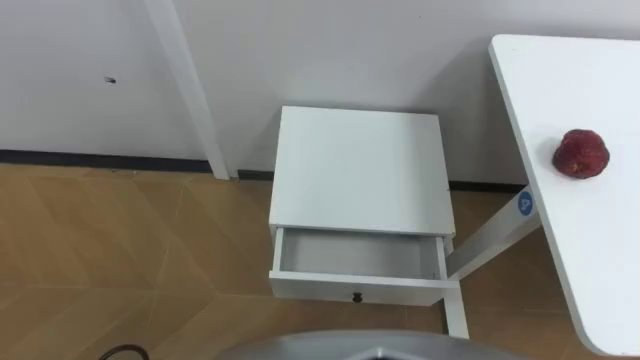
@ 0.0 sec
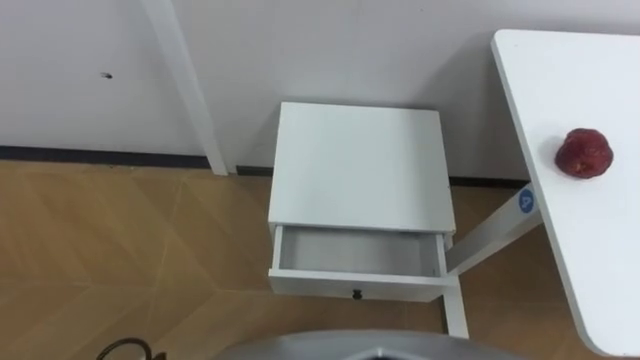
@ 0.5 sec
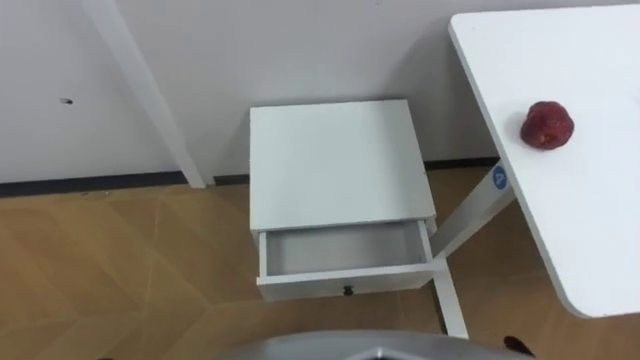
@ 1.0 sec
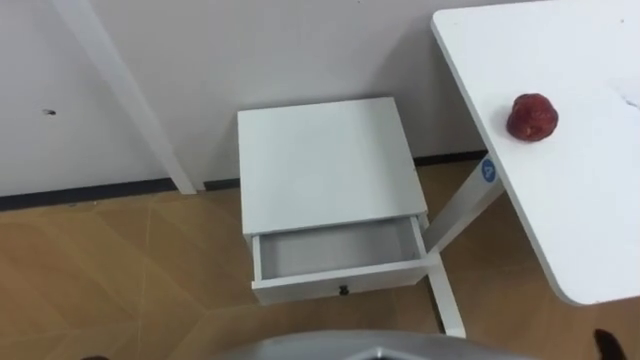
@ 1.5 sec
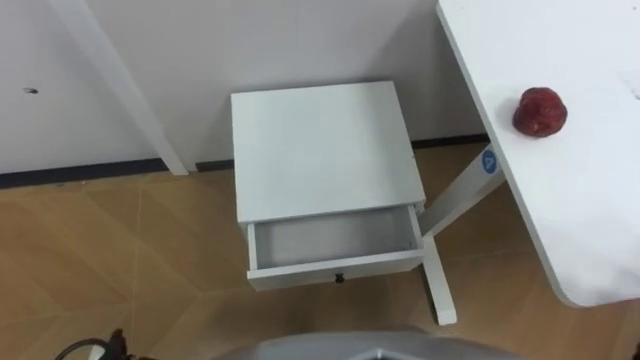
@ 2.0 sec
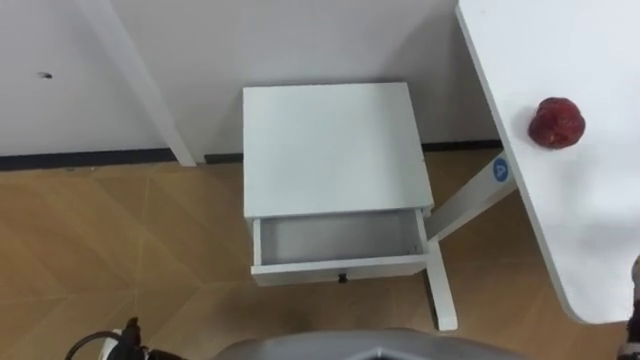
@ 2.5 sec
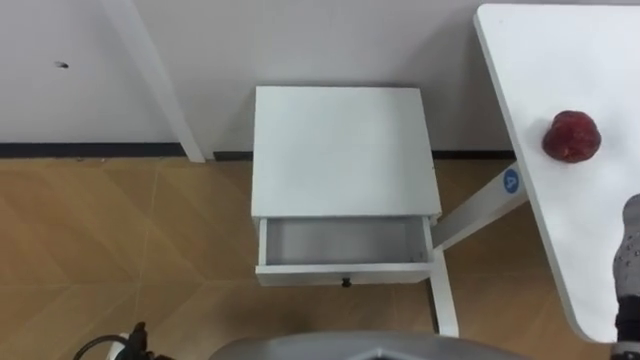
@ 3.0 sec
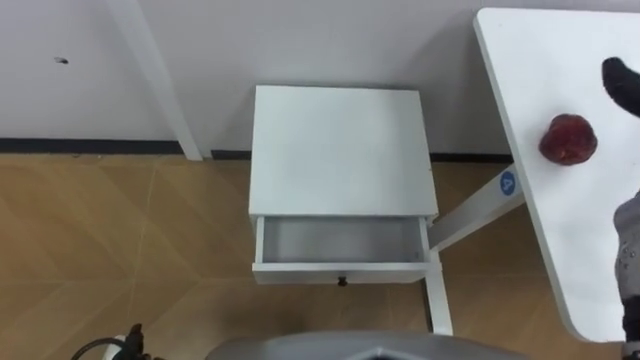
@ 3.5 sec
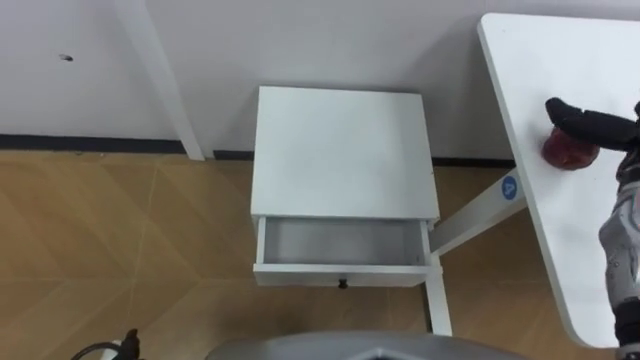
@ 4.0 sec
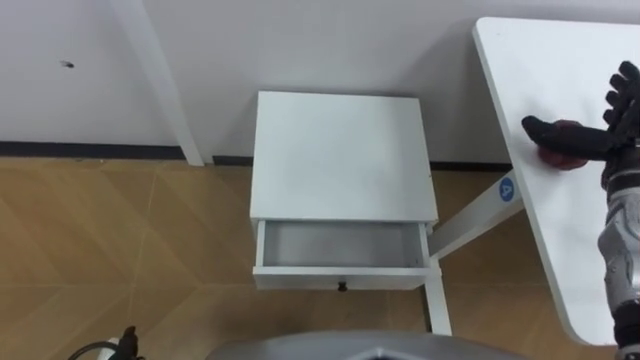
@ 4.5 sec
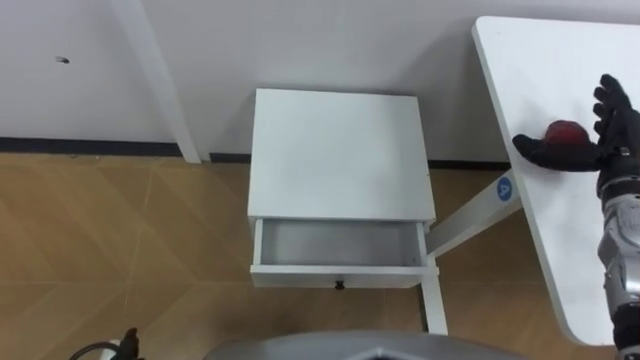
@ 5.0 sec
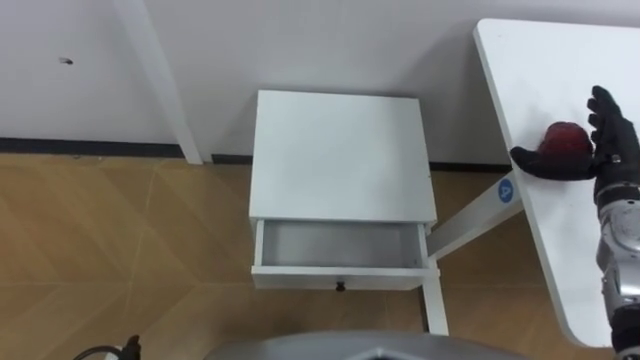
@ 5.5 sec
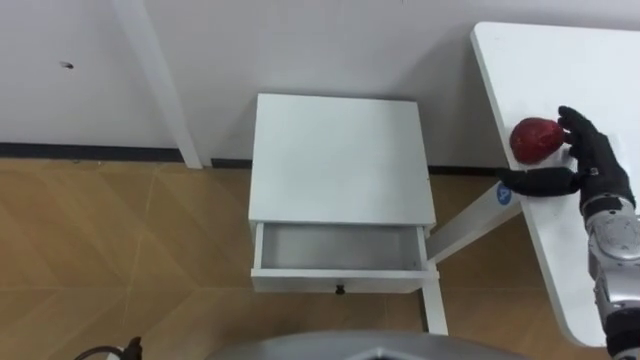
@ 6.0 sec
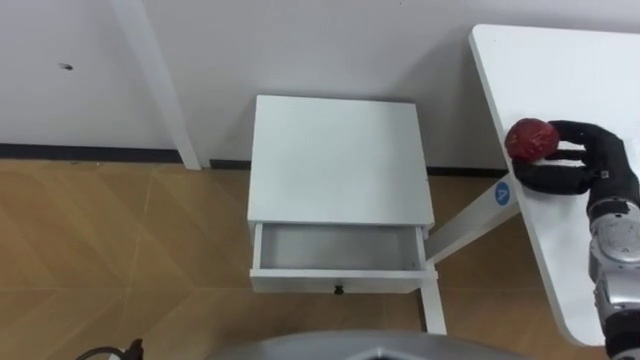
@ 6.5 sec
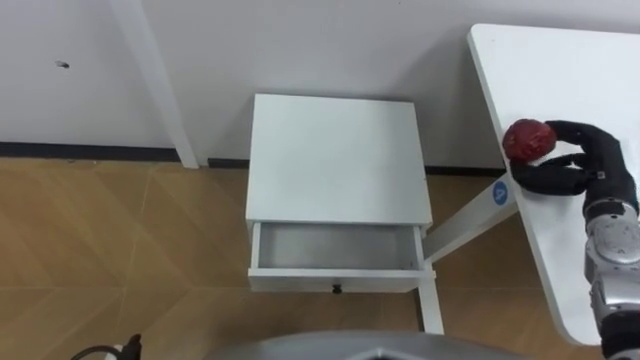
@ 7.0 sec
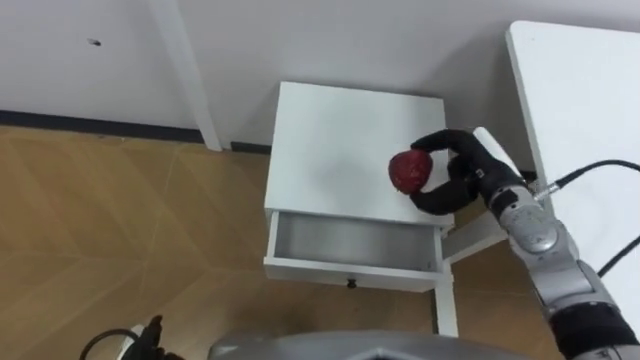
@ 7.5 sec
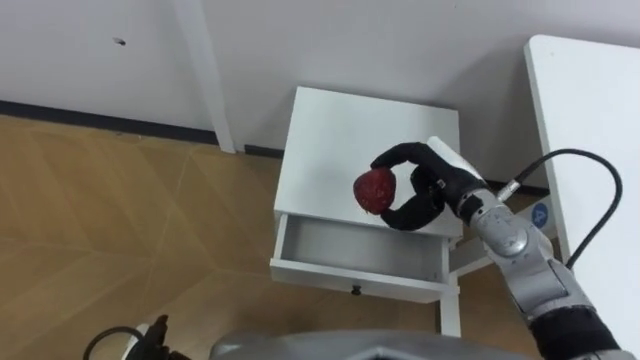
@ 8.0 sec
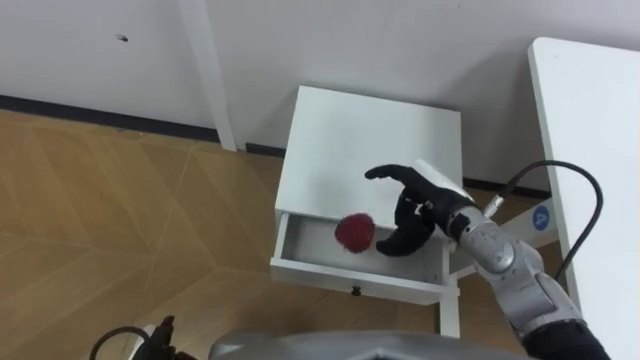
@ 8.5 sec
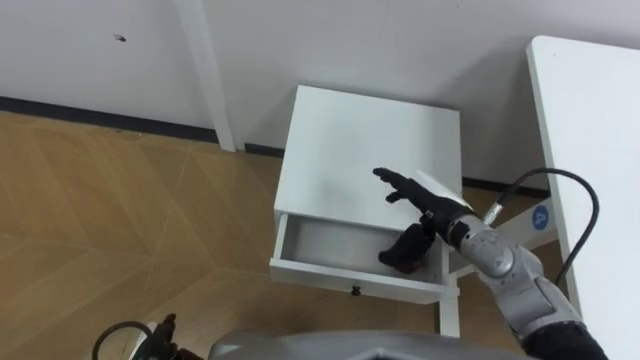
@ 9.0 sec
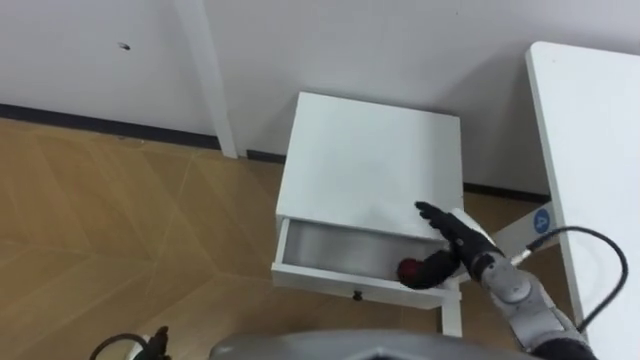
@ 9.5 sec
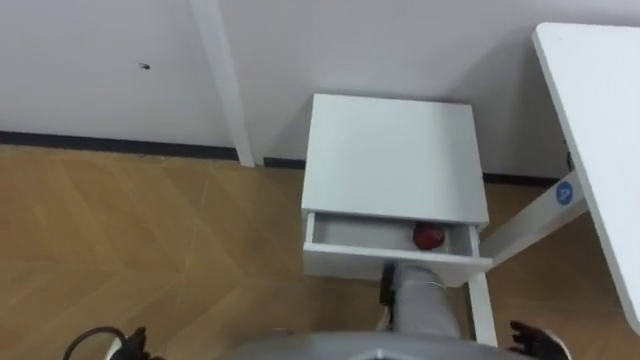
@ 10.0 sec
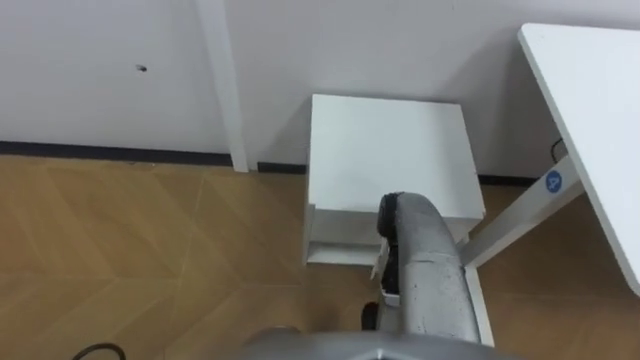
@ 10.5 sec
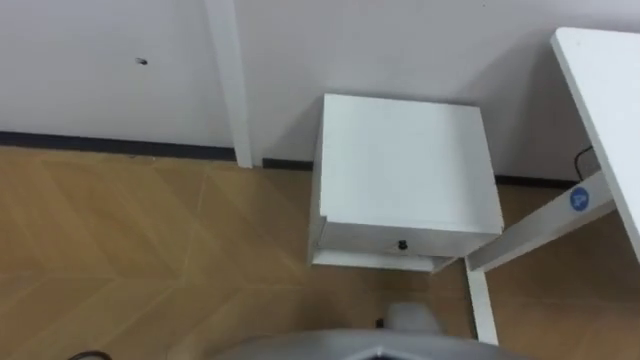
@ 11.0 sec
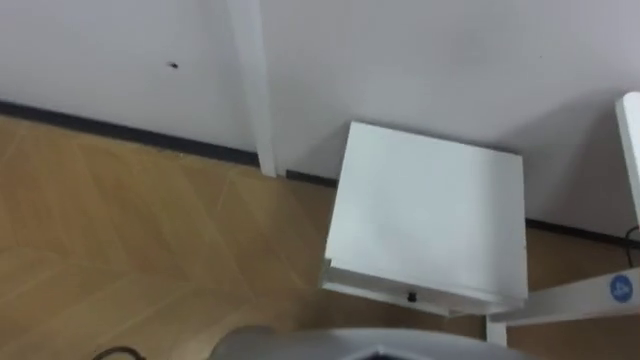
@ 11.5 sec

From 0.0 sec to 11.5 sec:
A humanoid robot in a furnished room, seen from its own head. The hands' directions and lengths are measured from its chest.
Task of the whole recording: Pick up the apple from the table, put it in the drawer, and close the drawer with leg.
From 6.0 sec to 7.5 sec: The right hand is displaced to the left by about 15 cm, and closes its fingers.
From 7.5 sec to 9.5 sec: The right hand is displaced downward and backward by approximately 10 cm, and opens.

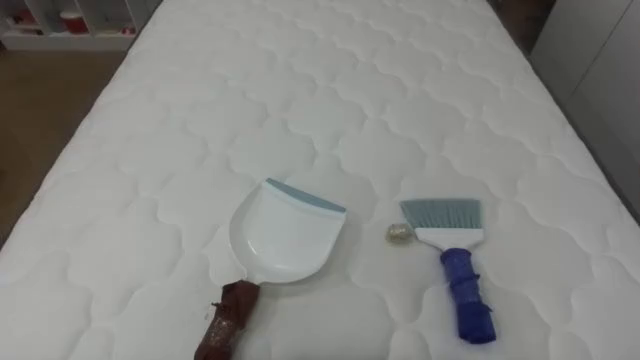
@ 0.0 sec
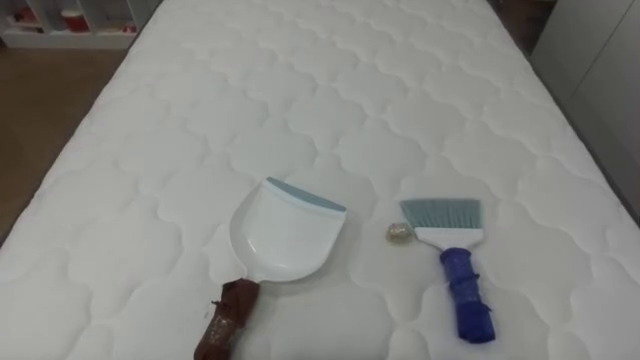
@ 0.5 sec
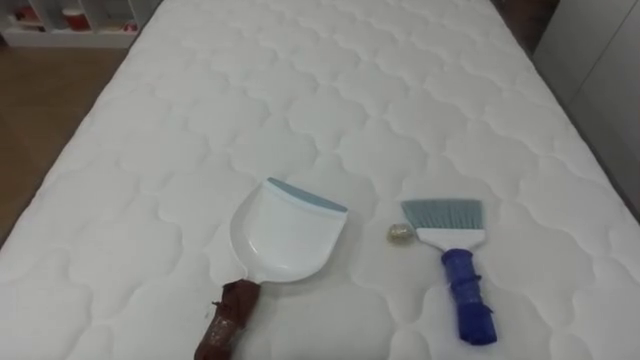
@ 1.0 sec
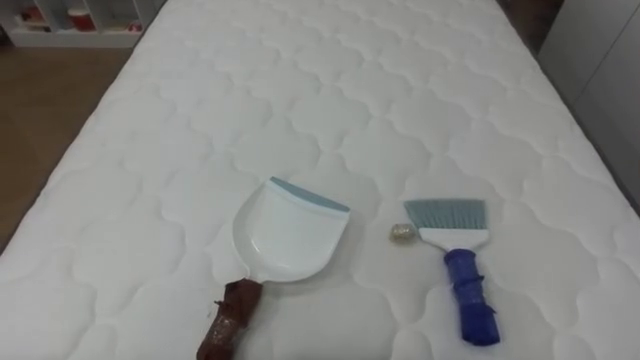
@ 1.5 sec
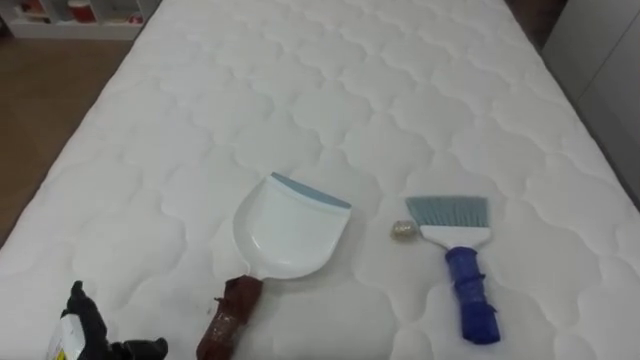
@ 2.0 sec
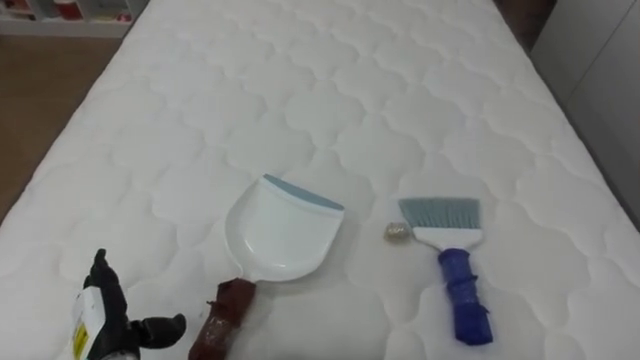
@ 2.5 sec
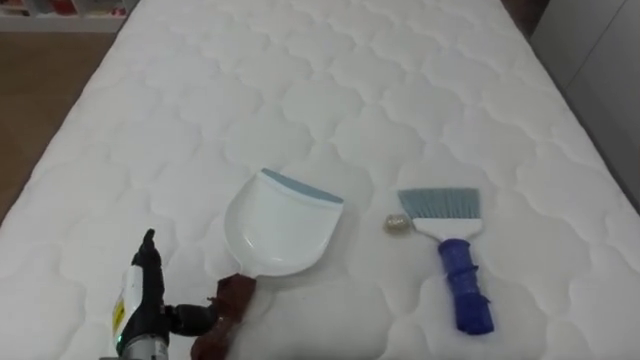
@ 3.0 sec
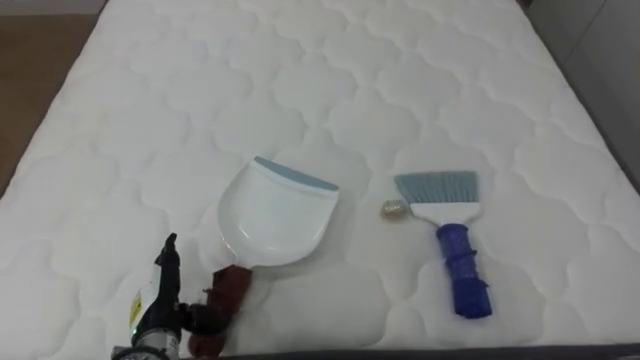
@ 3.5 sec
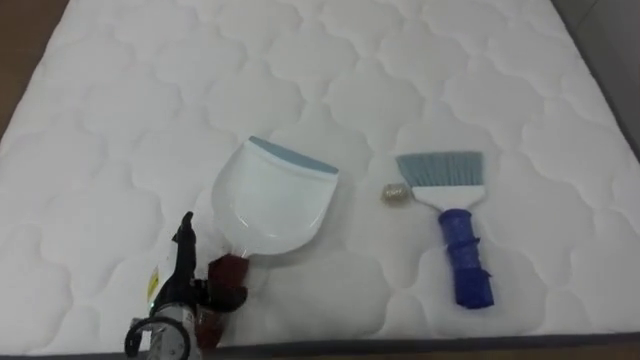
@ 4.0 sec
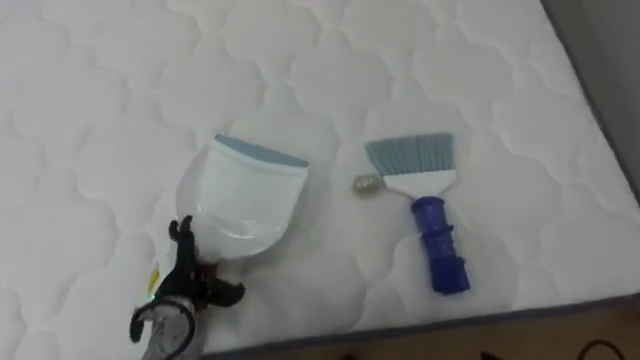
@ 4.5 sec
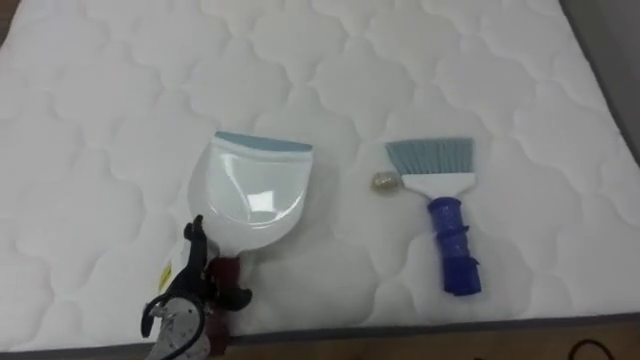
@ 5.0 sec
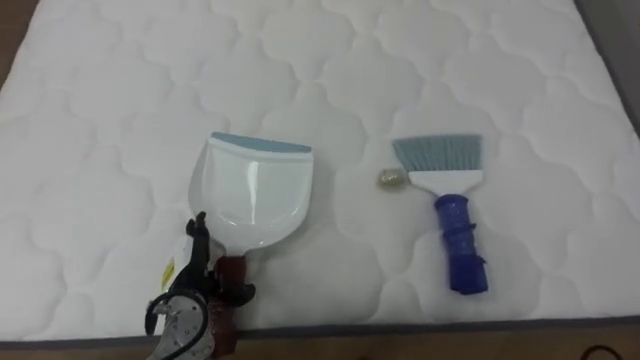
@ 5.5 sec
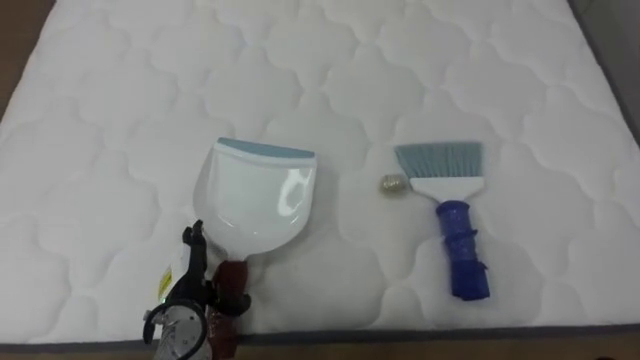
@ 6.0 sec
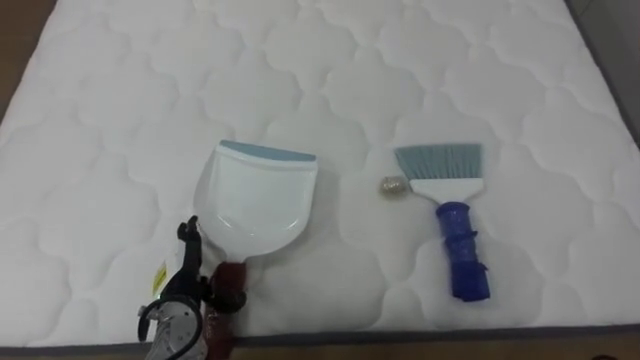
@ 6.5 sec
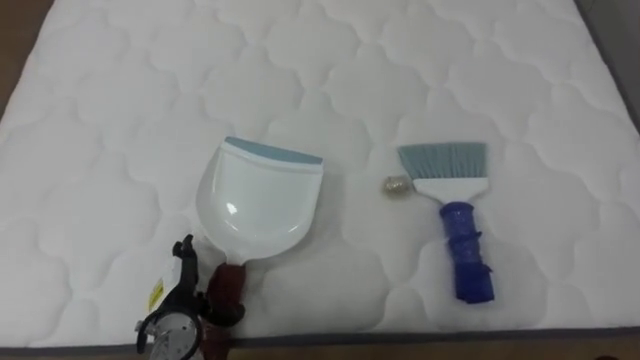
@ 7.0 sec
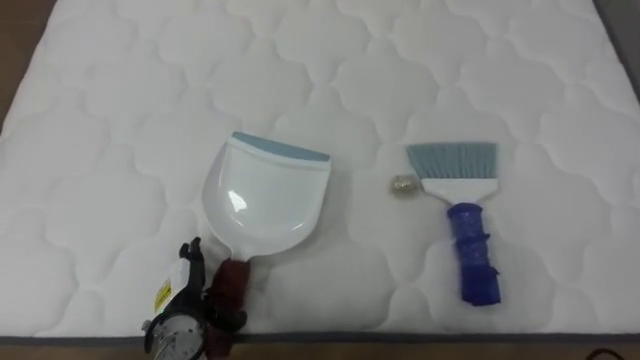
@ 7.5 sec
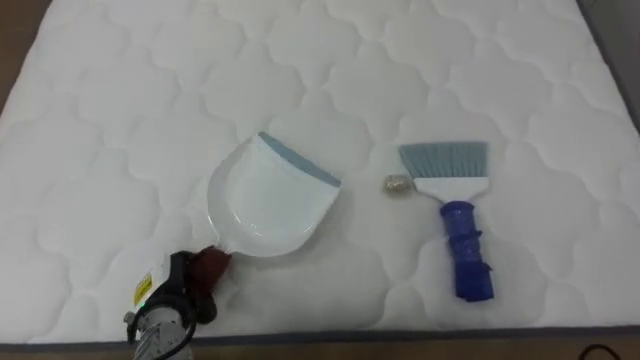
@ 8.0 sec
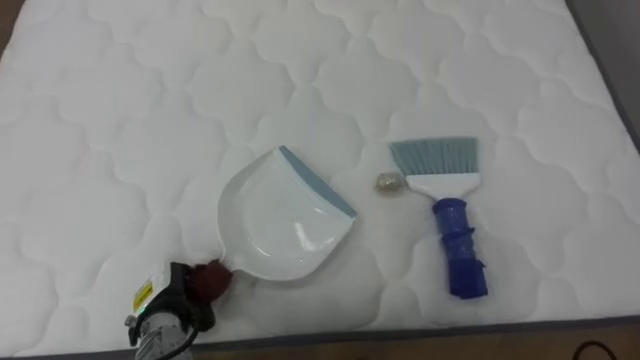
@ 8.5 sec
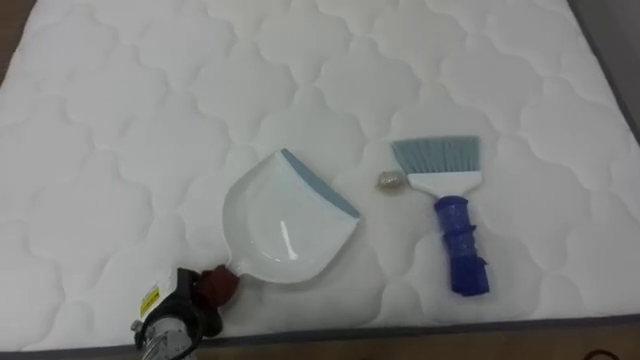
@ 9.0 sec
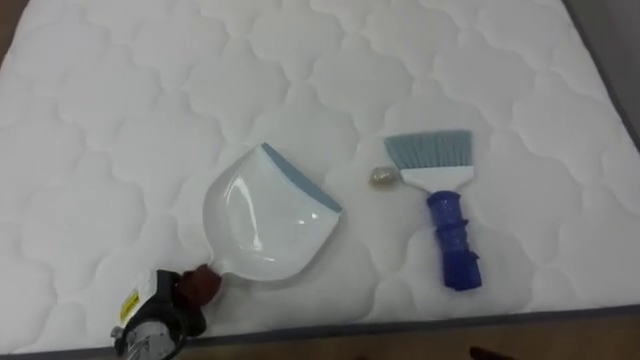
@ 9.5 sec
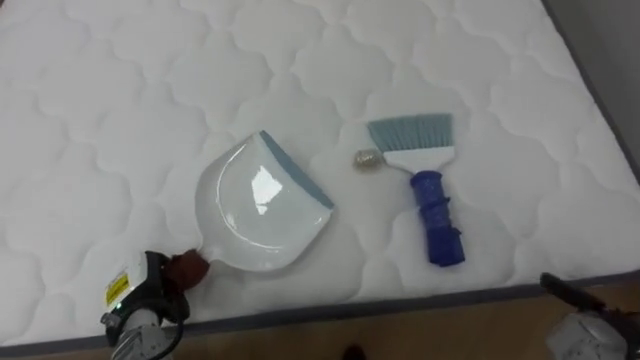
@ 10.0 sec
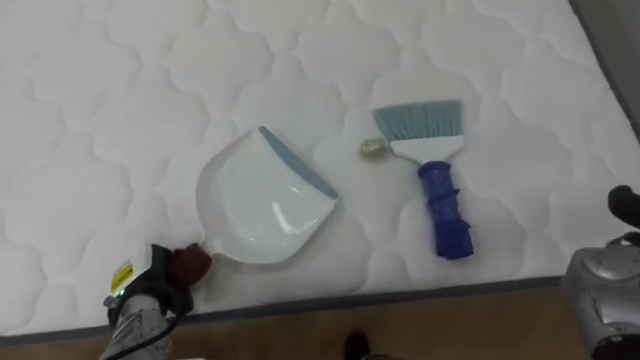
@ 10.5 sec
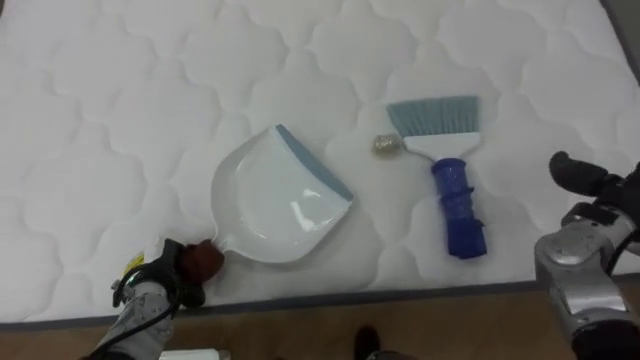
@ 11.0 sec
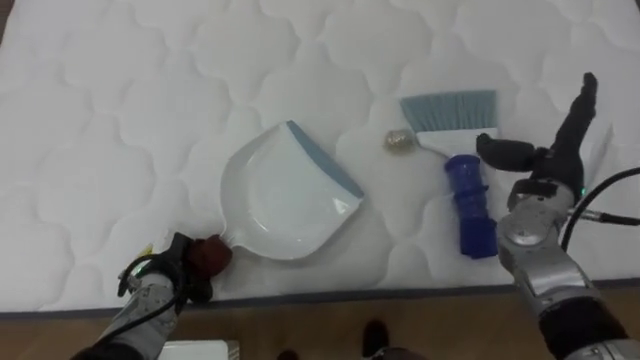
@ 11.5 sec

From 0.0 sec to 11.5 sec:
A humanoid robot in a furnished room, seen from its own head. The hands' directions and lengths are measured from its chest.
Task of the whole recording: Pick up the brush on your right and the dustpan on your left. Use the brush to sweep the crumpled paper on the bed into the dustpan, then turn left and empty it into the basket.
From 7.5 sec to 9.5 sec: The left hand closes its fingers.
From 9.5 sec to 11.5 sec: The left hand shifts by about 5 cm.
